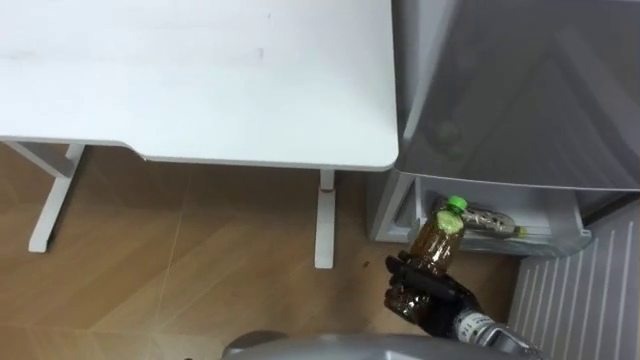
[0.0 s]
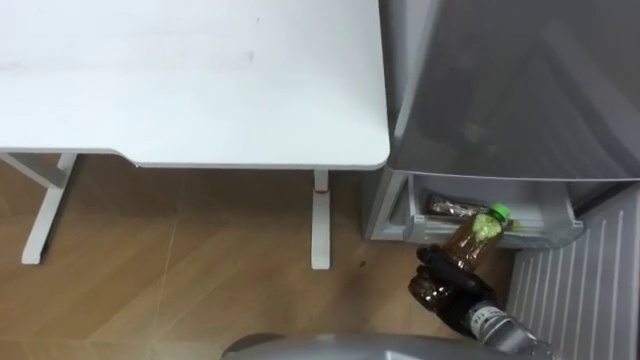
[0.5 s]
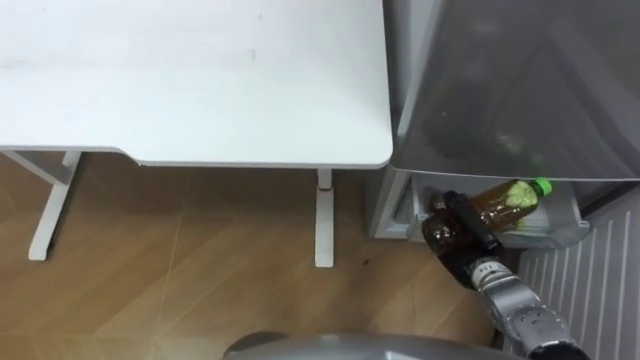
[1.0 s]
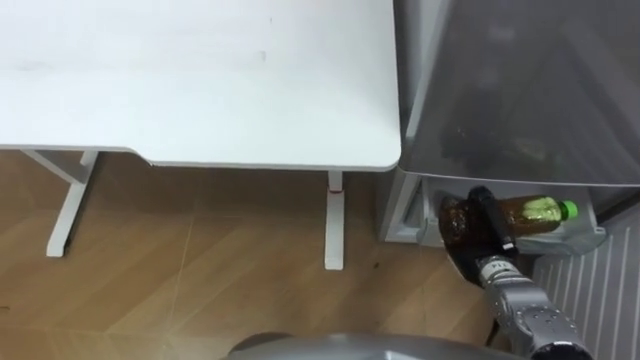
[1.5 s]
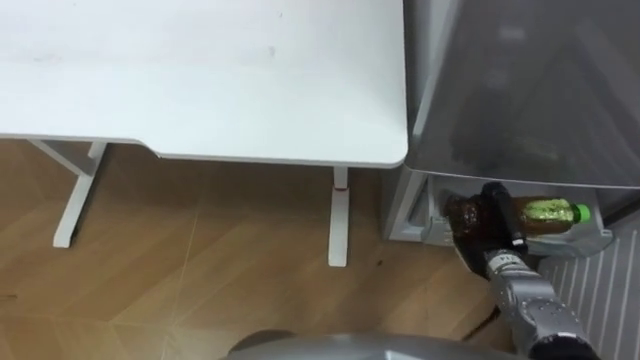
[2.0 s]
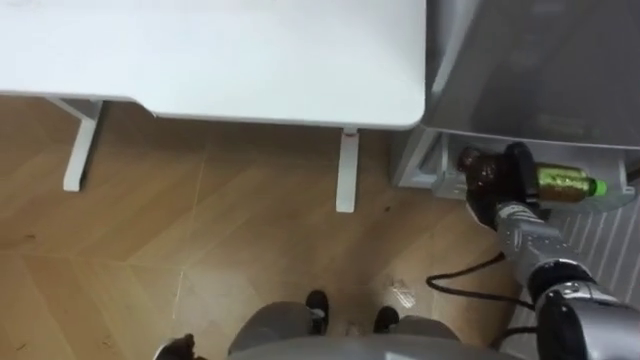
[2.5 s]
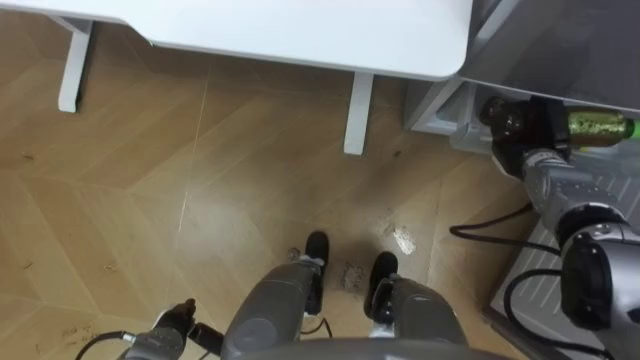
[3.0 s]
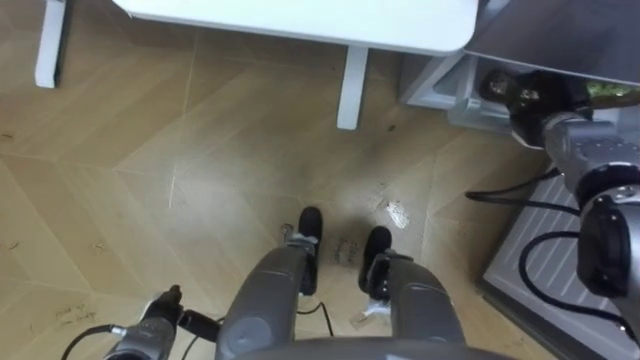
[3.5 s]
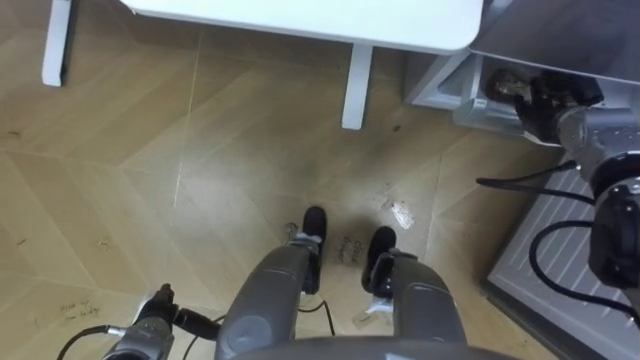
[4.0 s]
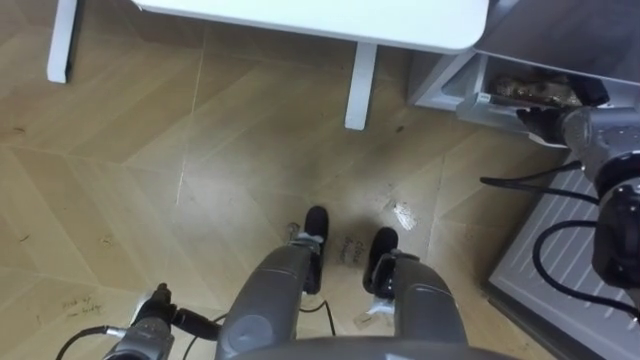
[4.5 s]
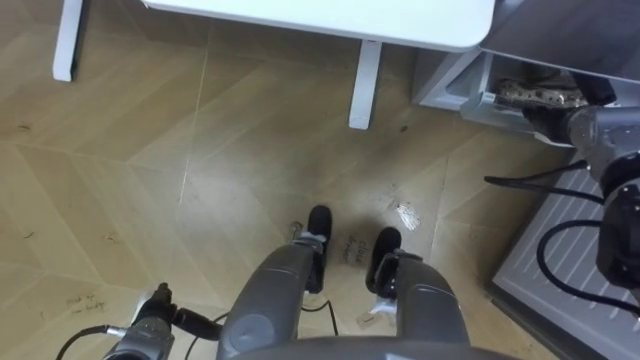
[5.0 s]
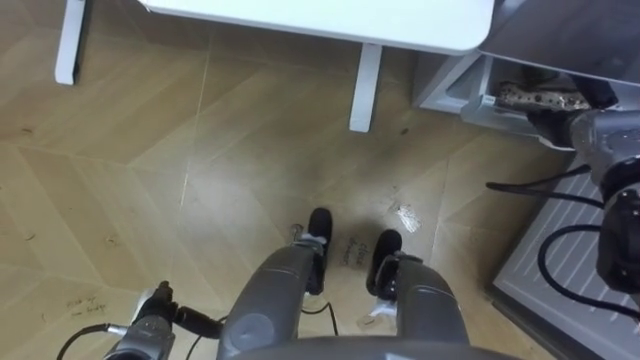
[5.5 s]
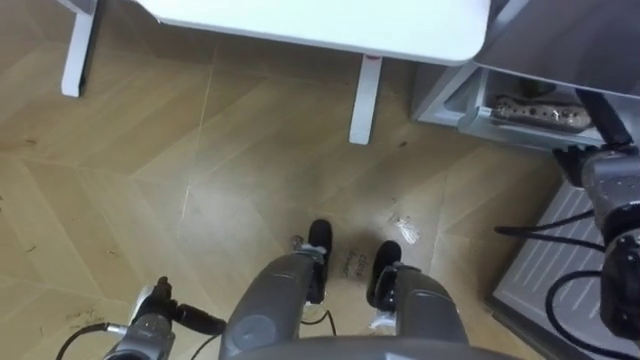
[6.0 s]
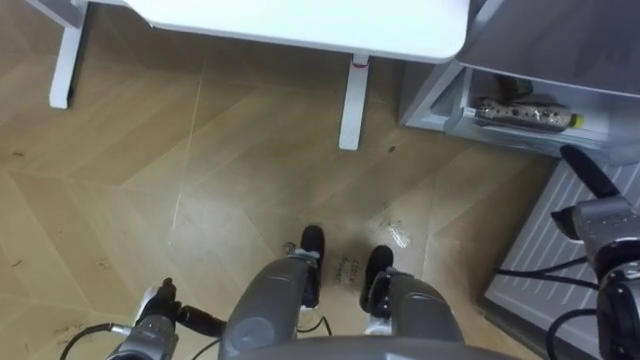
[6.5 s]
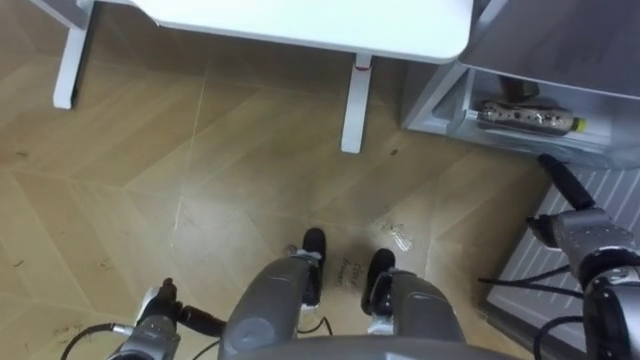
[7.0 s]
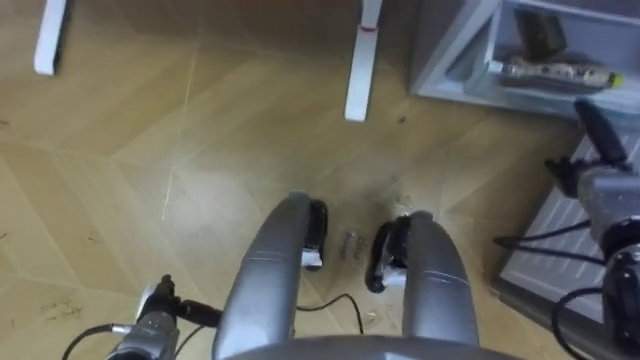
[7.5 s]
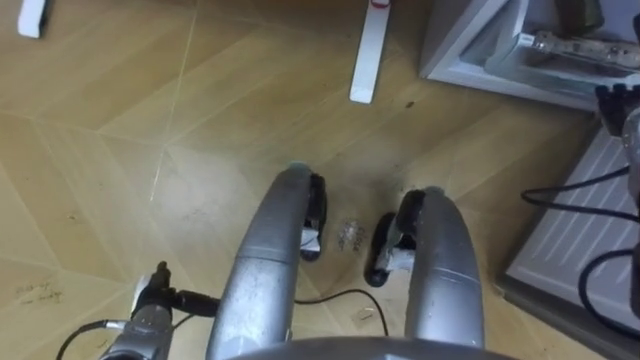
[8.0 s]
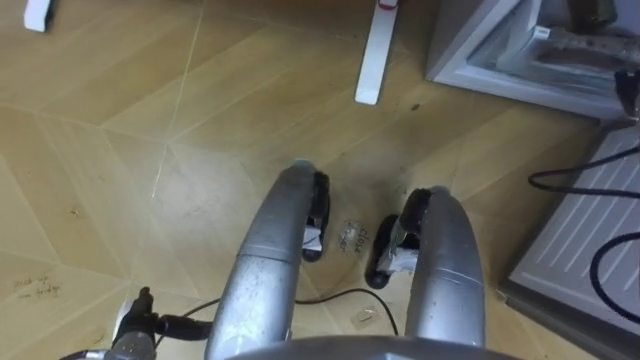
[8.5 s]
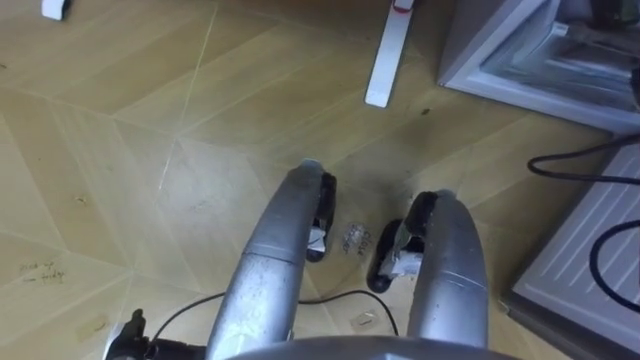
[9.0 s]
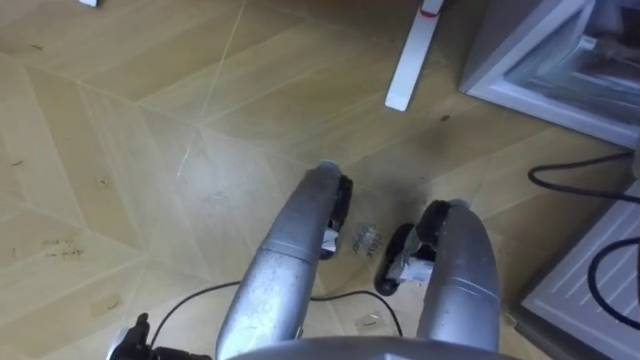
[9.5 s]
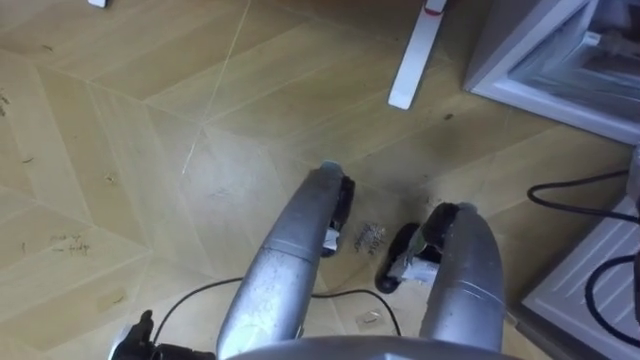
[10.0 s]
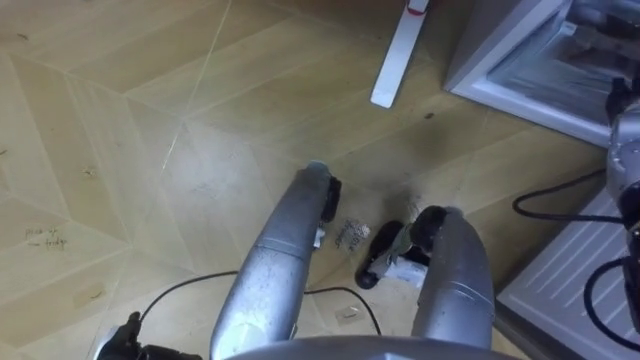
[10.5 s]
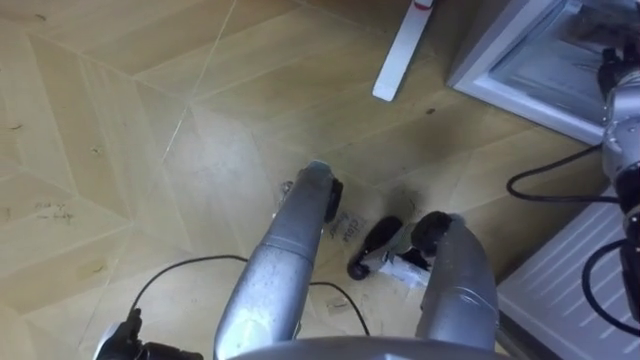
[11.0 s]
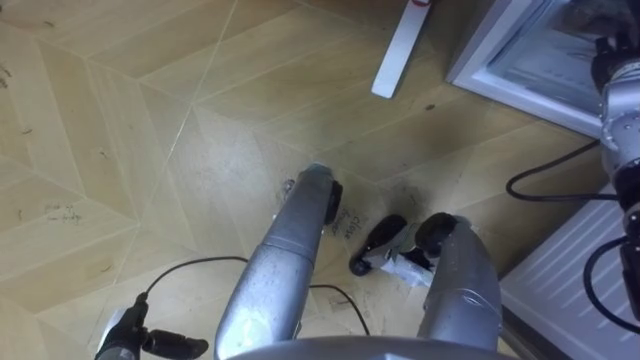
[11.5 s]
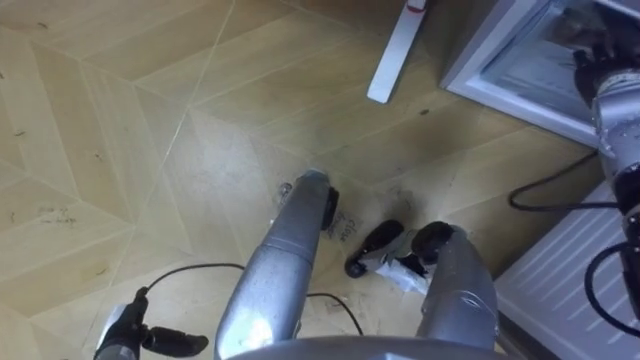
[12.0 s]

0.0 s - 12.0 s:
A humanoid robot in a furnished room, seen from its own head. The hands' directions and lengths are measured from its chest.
Task of the whole recording: Place the drink on the table on the bottom shelf of the refrigerator, then close the drawer and the refrigerator door.
0.0 s - 2.0 s: The right hand shifts roughly 10 cm to the right and forward.
2.0 s - 4.0 s: The right hand goes some 20 cm forward, upward and to the right, and opens up.
4.0 s - 6.0 s: The right hand shifts some 5 cm backward.
6.0 s - 8.0 s: The right hand is displaced upward by some 5 cm.

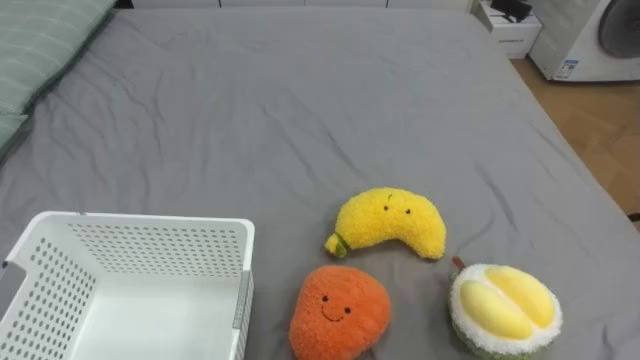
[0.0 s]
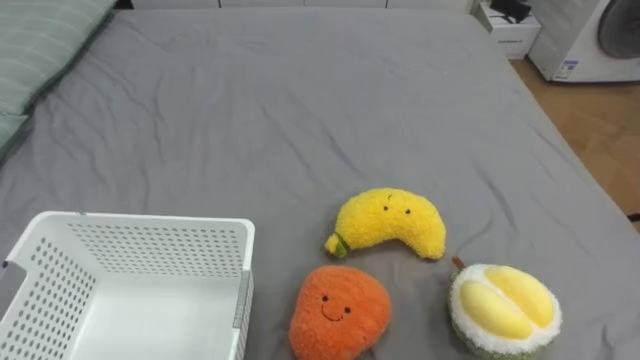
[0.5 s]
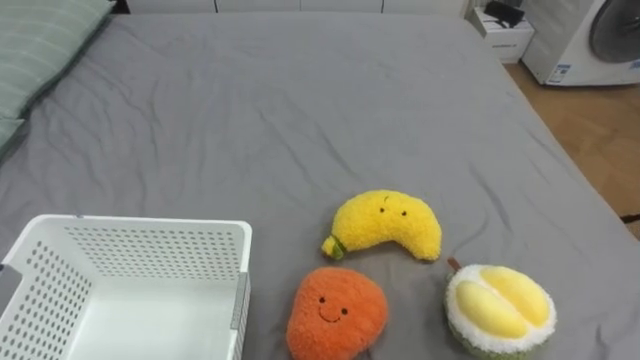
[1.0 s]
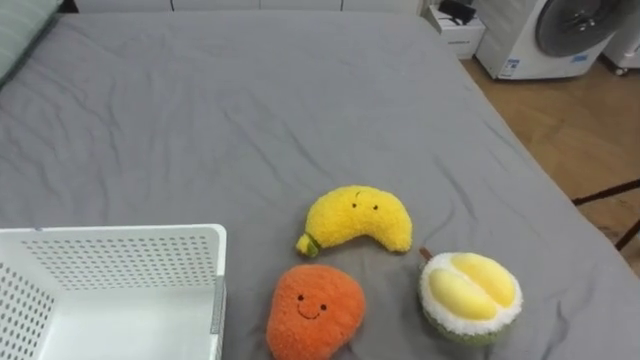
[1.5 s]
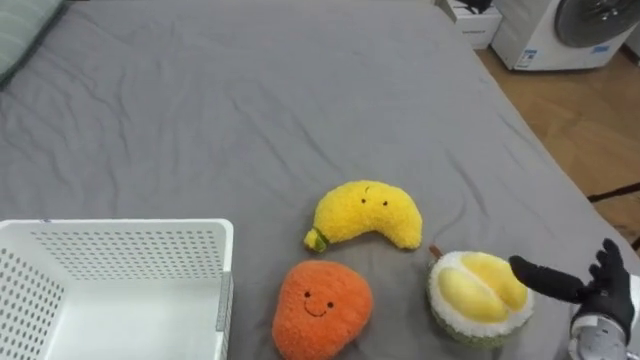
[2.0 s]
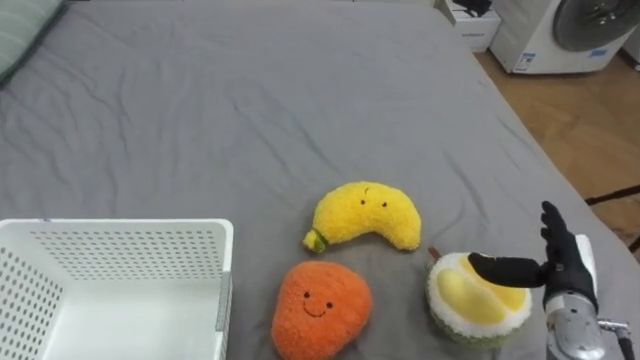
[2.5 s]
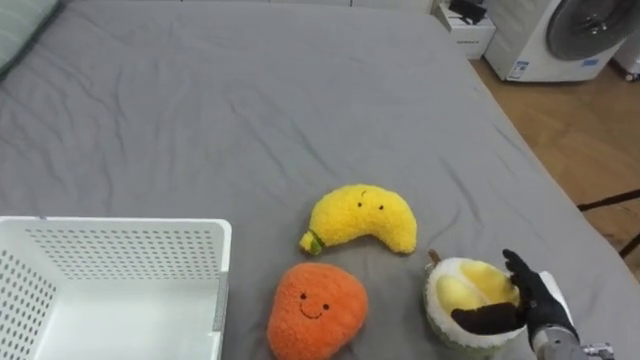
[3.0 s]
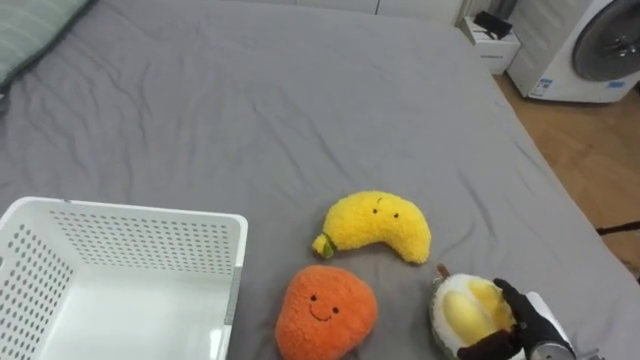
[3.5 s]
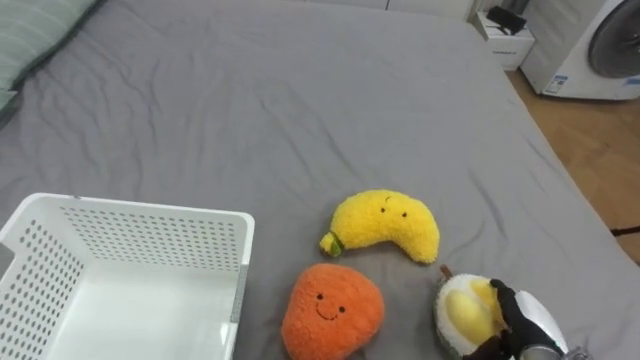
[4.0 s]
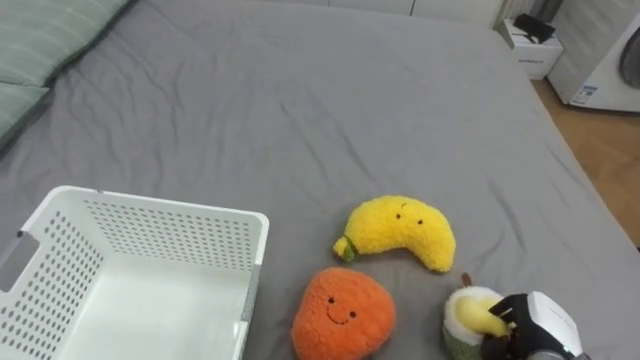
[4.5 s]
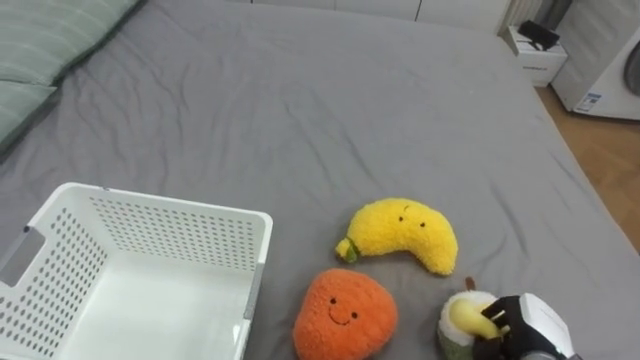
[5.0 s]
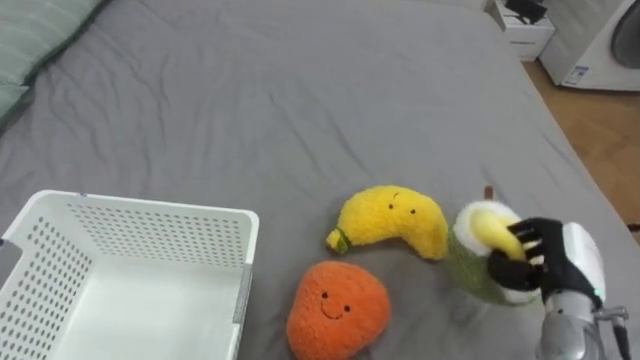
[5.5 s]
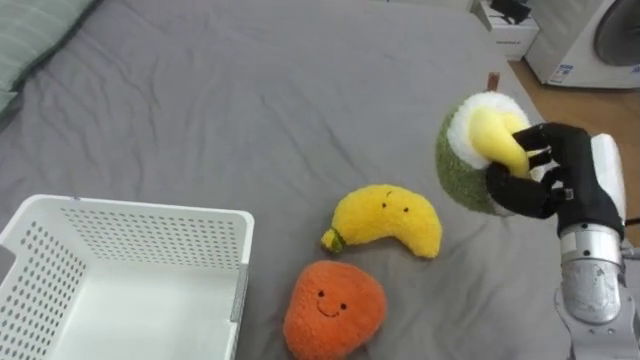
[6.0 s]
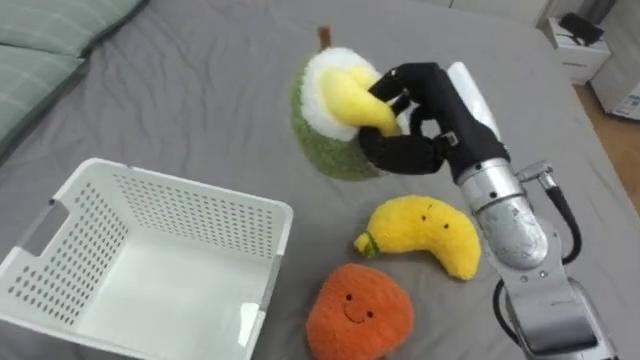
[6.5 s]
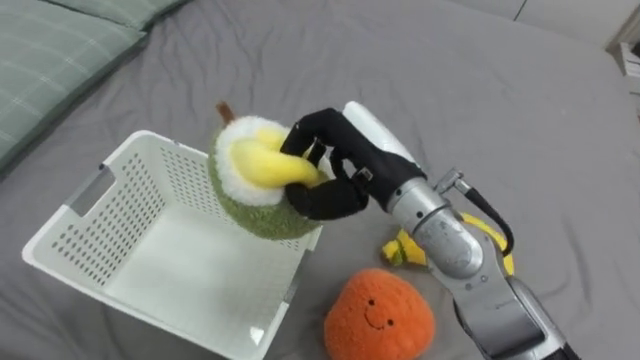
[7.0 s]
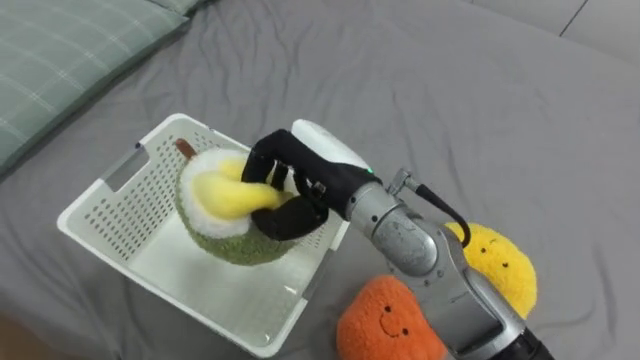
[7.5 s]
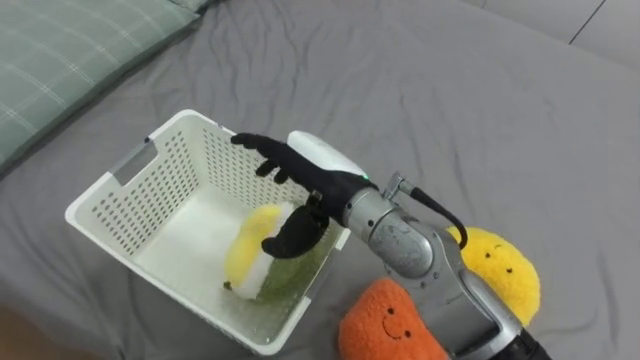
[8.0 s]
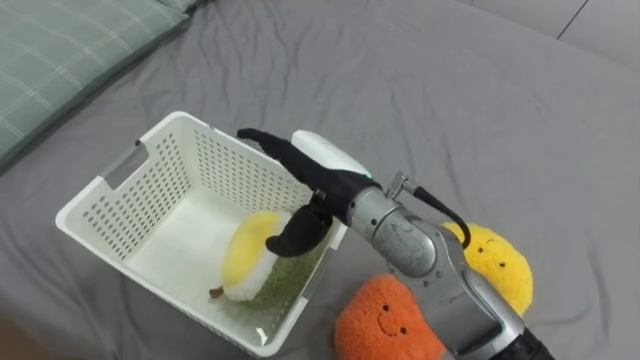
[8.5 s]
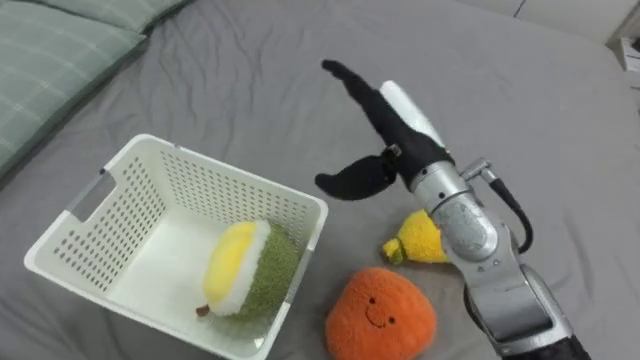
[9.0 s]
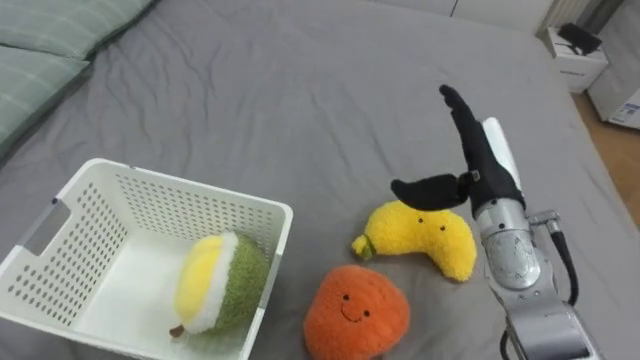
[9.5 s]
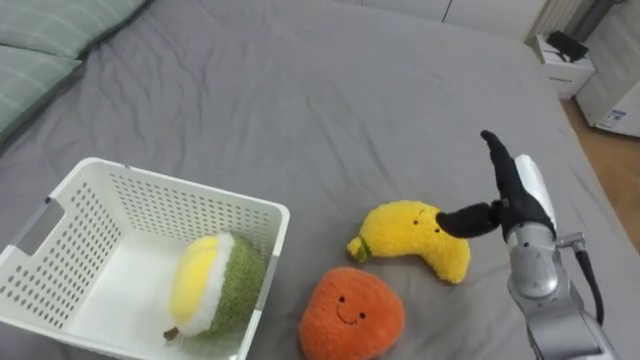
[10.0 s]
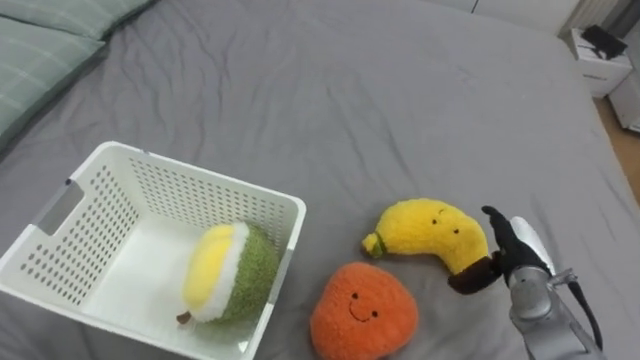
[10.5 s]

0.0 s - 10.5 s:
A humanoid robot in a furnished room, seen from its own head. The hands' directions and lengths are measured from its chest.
Task of the whole recording: Put the toys on the bed into the basket on the left.
2.0 s - 4.0 s: The right hand is displaced to the left and downward by approximately 10 cm.
4.0 s - 6.5 s: The right hand heads upward, forward and to the left, covering roughly 35 cm, and closes.
6.5 s - 8.5 s: The right hand moves to the left, some 15 cm, and opens up.
8.5 s - 10.5 s: The right hand moves to the right and downward, approximately 30 cm.
